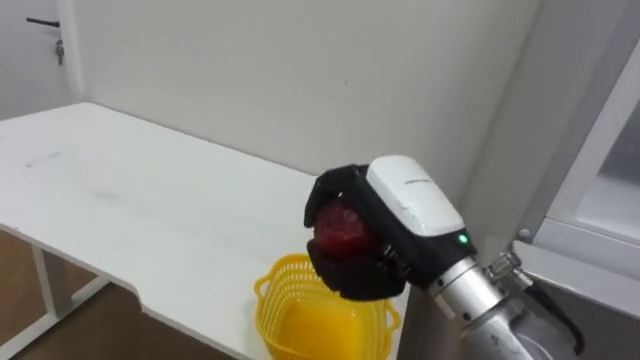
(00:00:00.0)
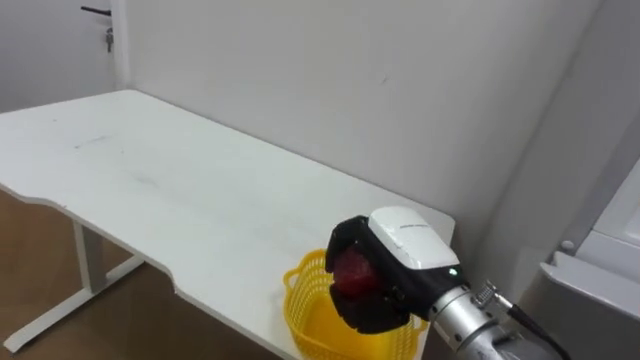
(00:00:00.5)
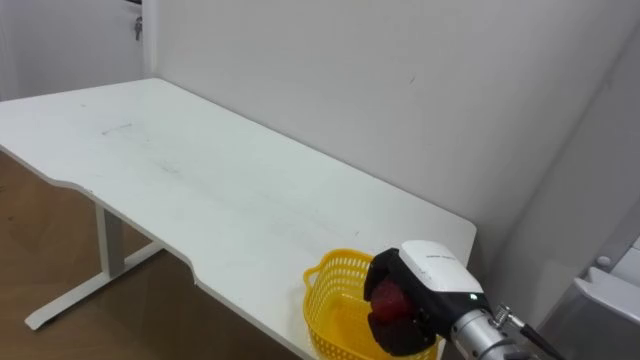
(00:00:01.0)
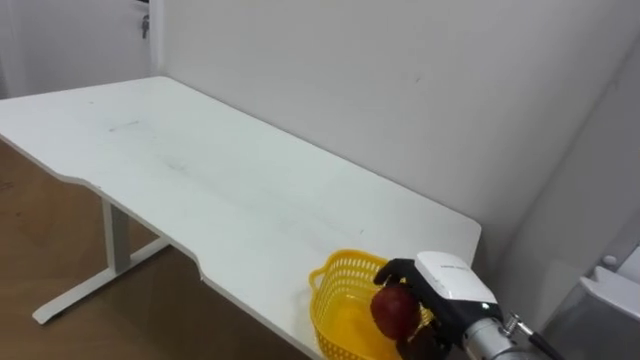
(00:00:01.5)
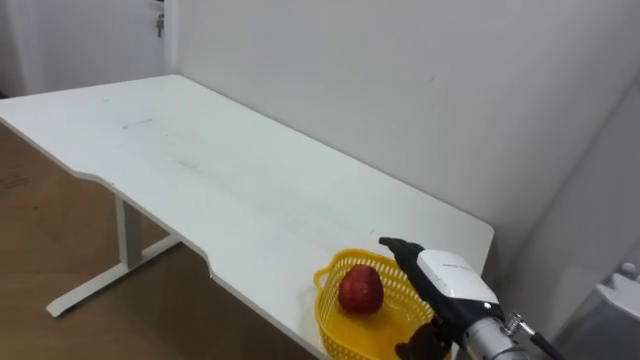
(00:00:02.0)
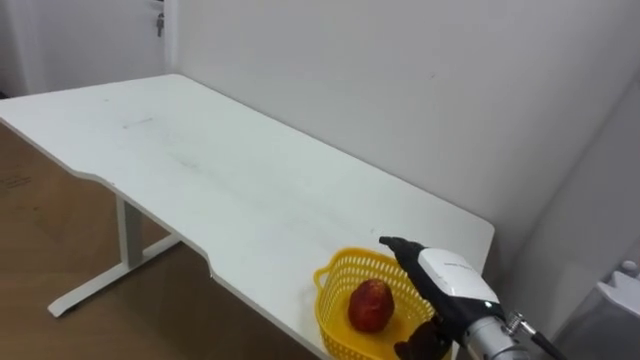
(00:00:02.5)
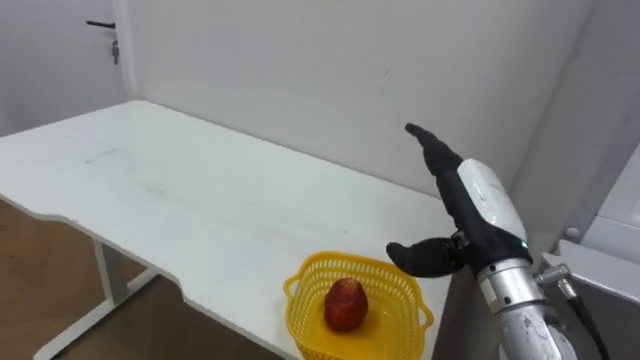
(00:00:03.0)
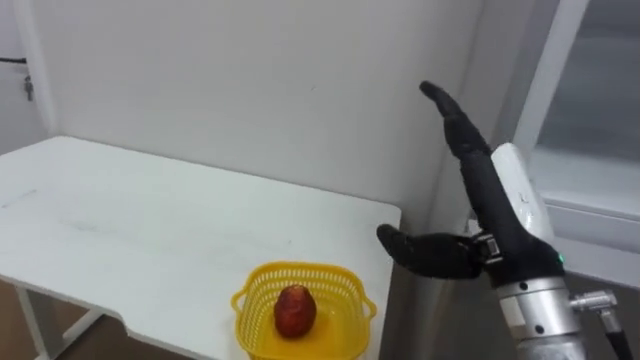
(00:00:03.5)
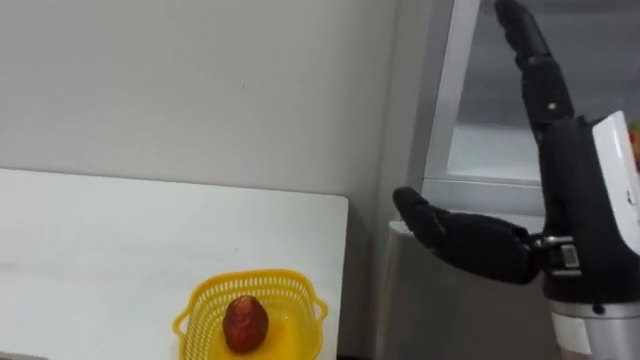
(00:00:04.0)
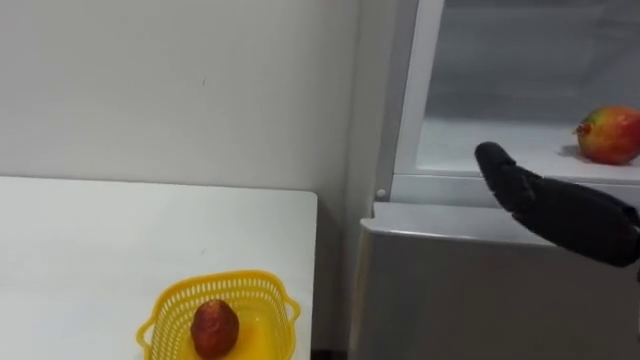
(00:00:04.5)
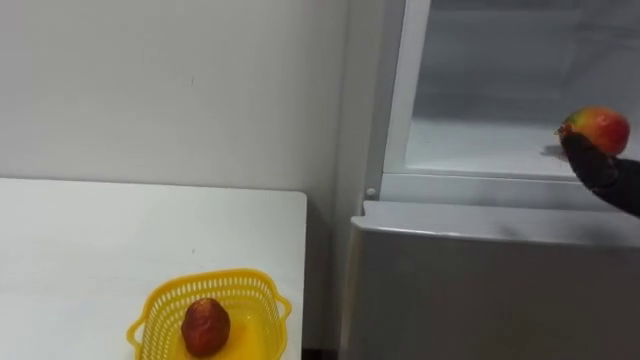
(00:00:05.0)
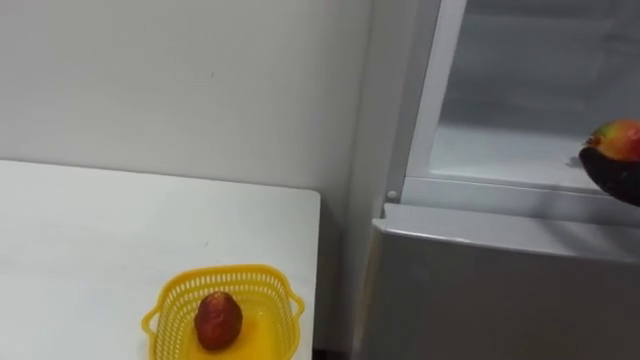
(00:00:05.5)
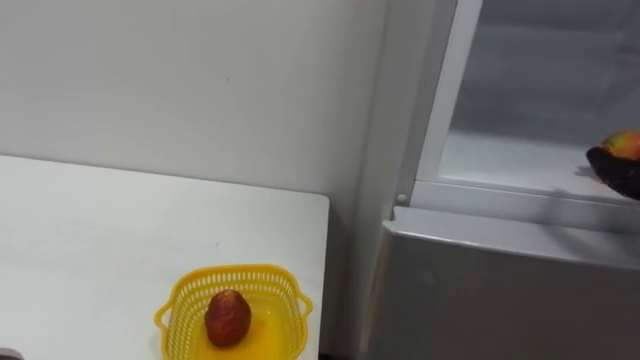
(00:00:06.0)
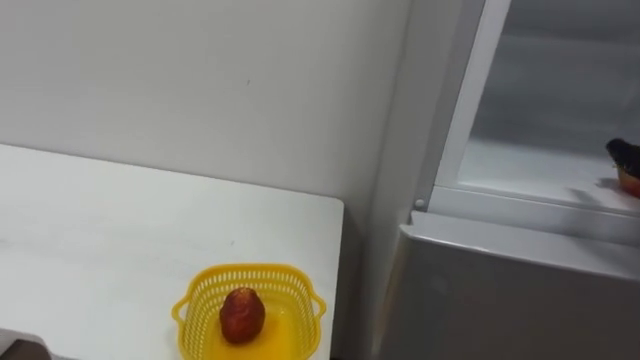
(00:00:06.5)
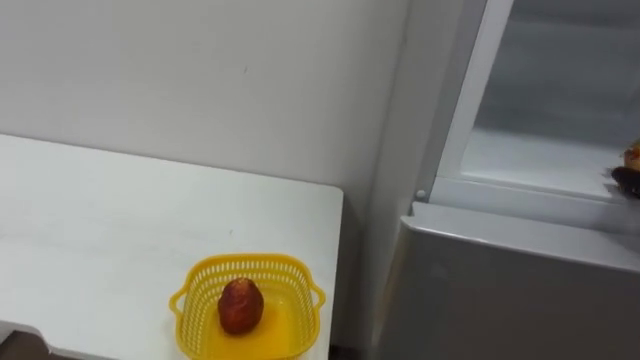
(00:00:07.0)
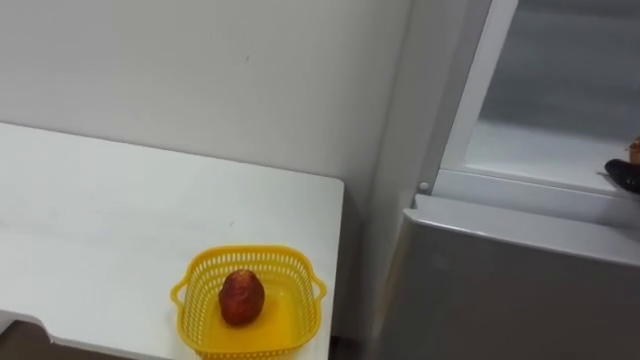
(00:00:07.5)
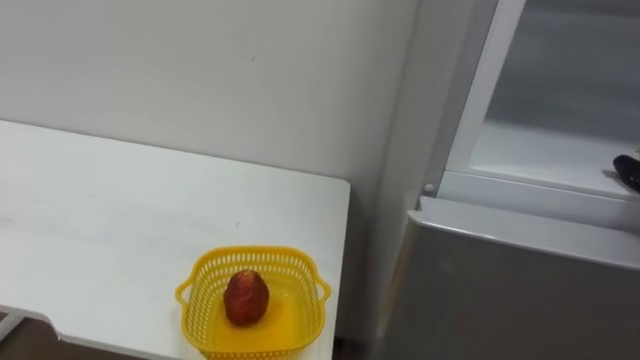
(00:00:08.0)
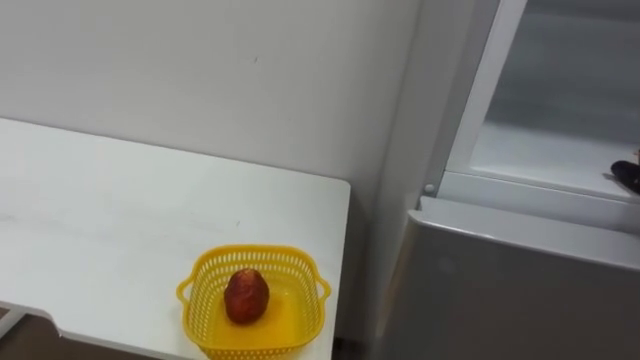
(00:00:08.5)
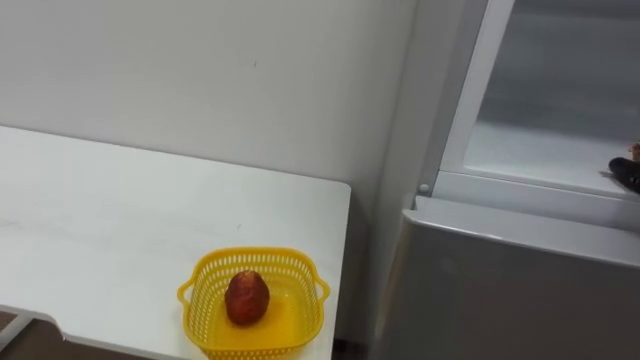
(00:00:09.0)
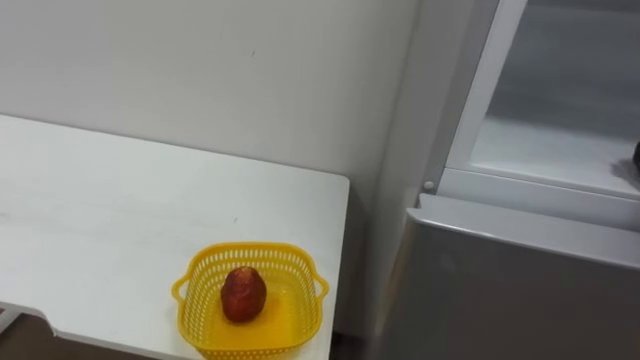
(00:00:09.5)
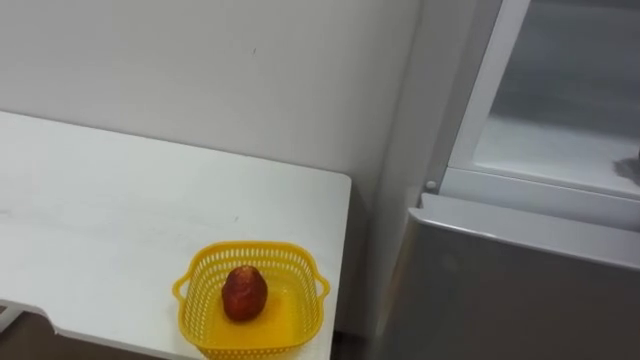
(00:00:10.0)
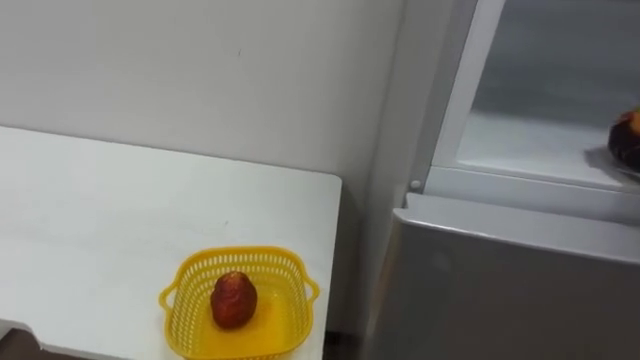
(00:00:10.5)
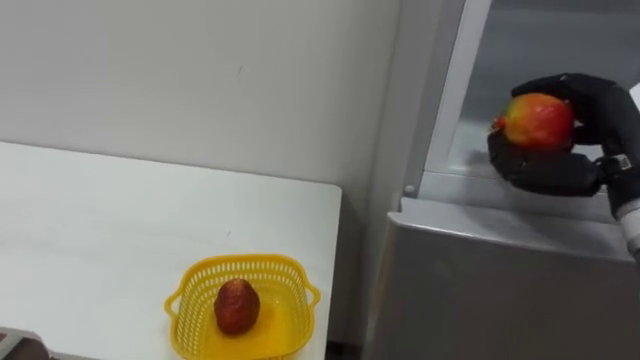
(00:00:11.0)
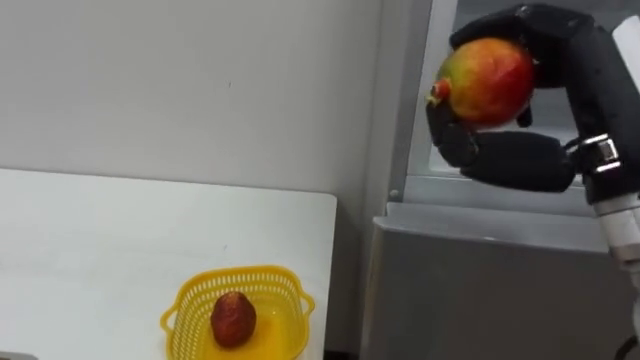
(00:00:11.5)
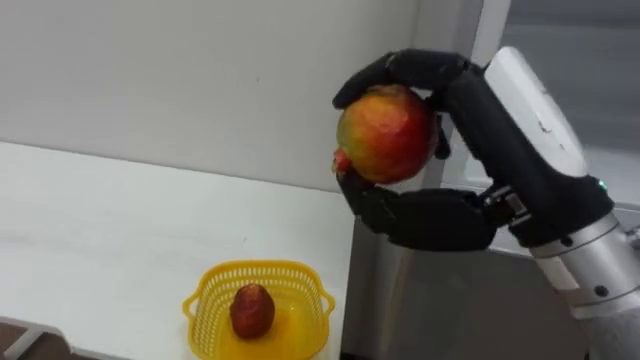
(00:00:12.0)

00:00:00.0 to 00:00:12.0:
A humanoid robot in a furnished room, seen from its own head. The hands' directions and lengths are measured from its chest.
Task of the whole recording: Open the refrigerator door, take out the apple and the pomegranate, place them in the fruit basket on the left, and close the refrigerator door.
00:00:00.0 to 00:00:02.0: The right hand is displaced downward and to the right by about 15 cm, and opens up.
00:00:02.0 to 00:00:04.0: The right hand goes about 25 cm upward and backward.

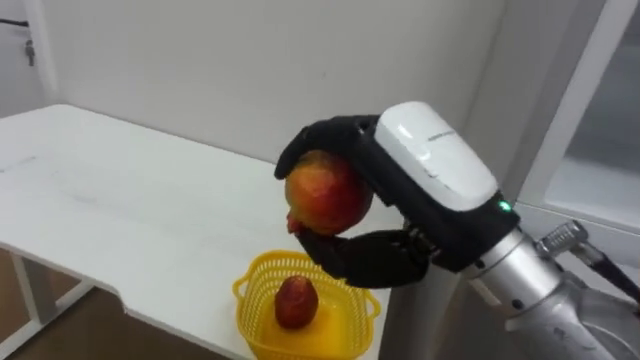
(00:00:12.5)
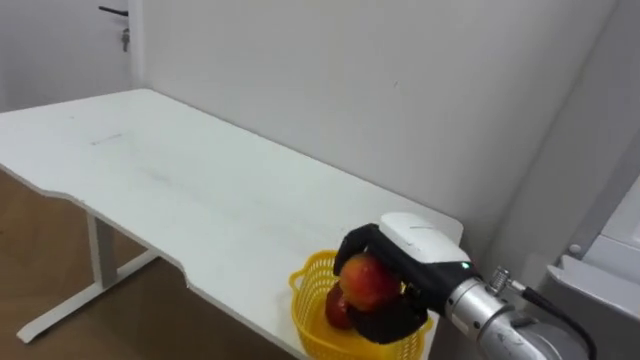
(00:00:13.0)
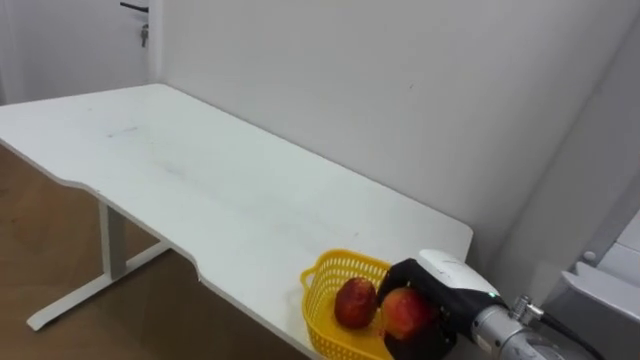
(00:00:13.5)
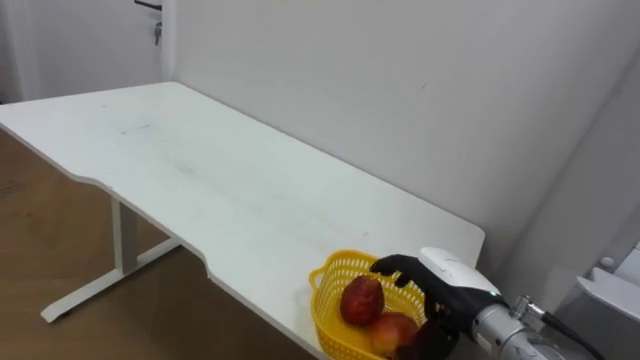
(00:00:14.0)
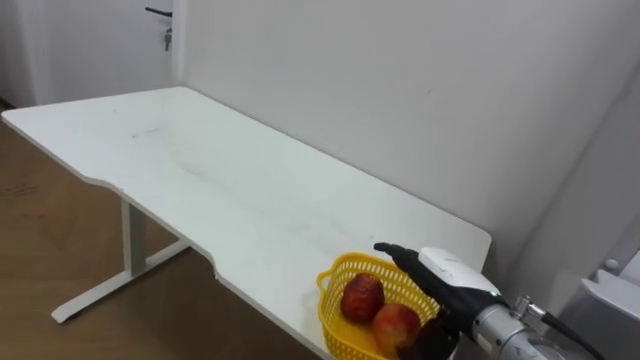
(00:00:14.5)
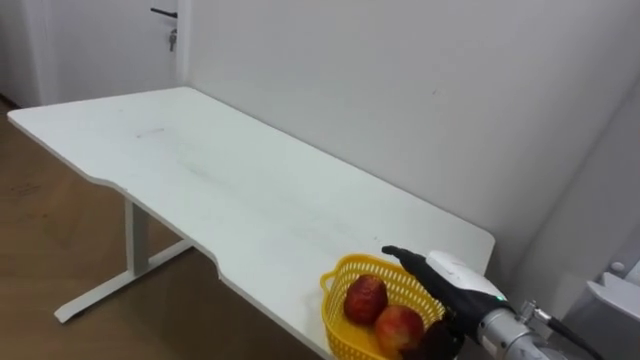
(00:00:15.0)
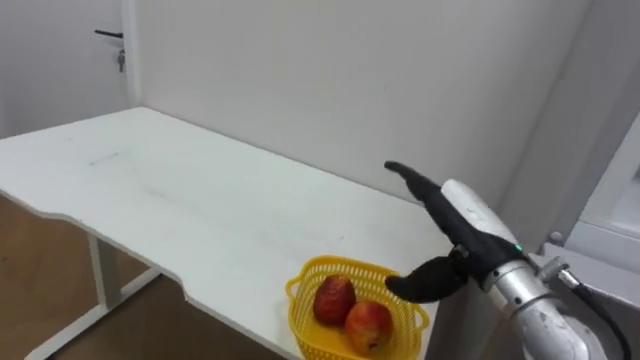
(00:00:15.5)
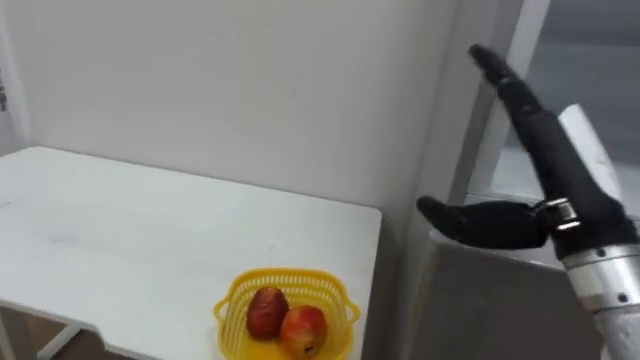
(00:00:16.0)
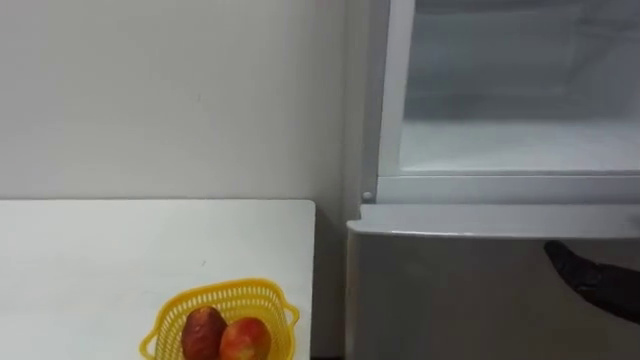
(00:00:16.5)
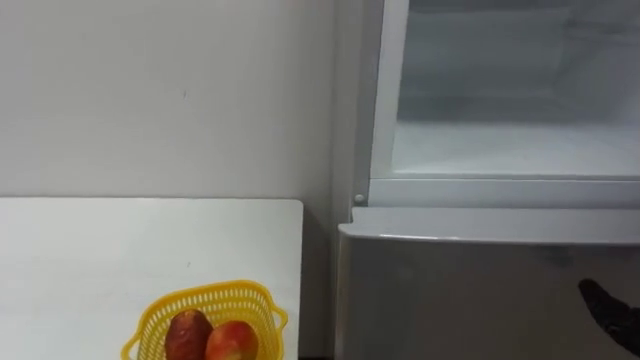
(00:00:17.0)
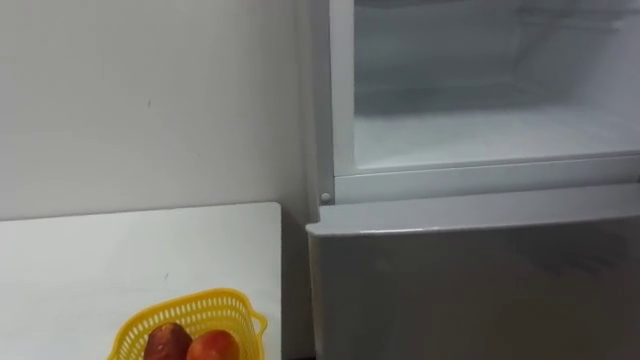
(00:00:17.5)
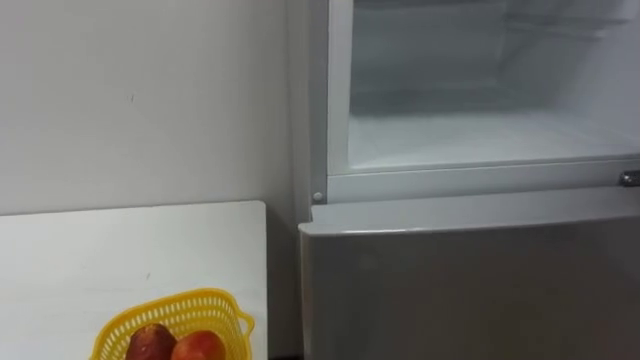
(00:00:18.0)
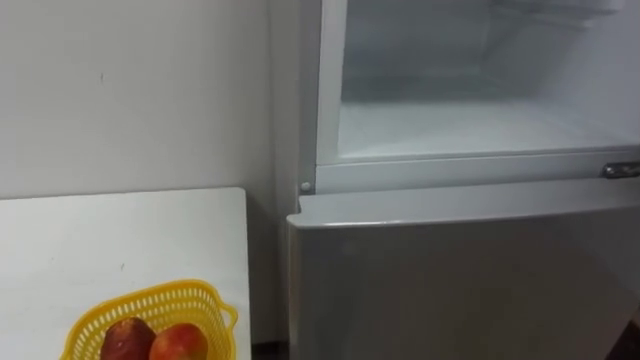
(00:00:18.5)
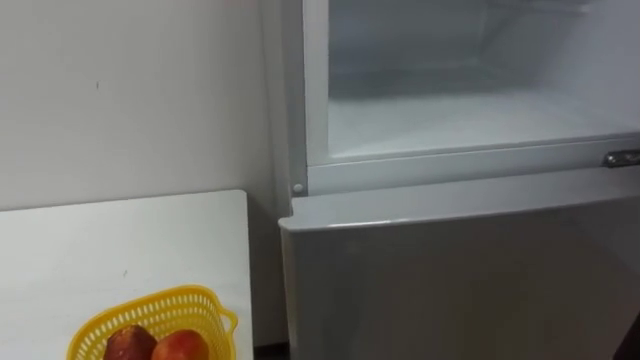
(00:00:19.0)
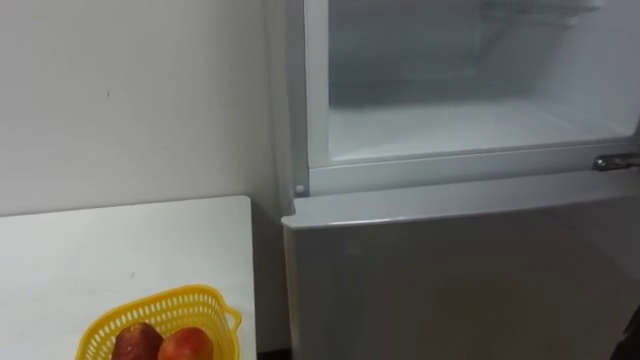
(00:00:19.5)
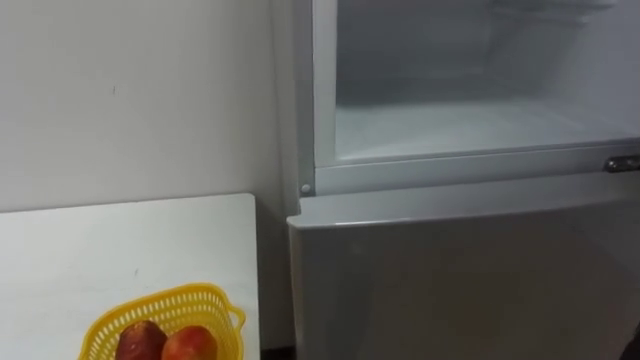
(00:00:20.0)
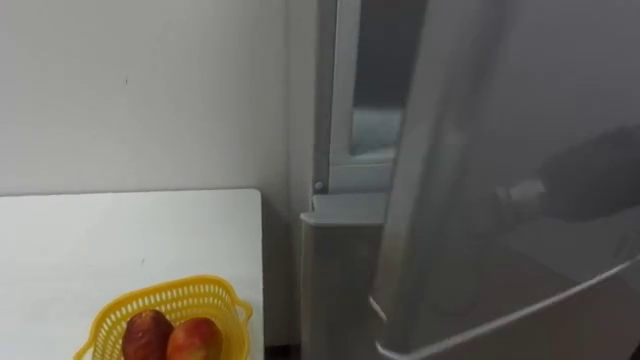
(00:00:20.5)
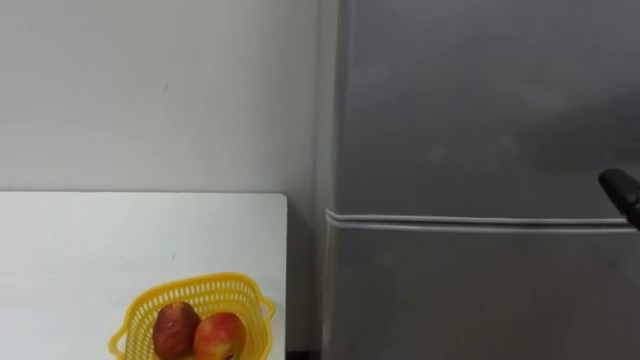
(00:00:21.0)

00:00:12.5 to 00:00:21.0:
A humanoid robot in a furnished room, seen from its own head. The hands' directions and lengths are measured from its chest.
Task of the whole recording: Open the refrigerator door, take out the apple and the pomegranate, place them in the fruit basket on the left, and close the refrigerator door.
00:00:12.5 to 00:00:14.5: The right hand is displaced downward and forward by roughly 25 cm, and opens.
